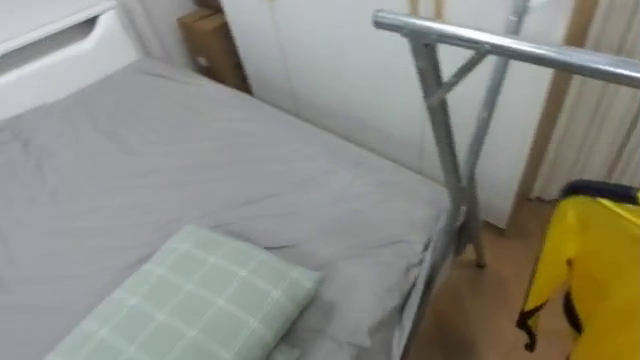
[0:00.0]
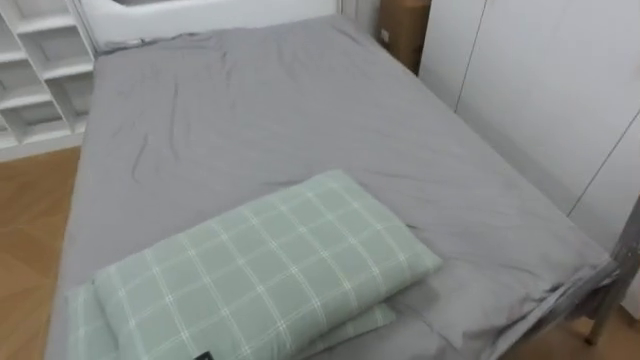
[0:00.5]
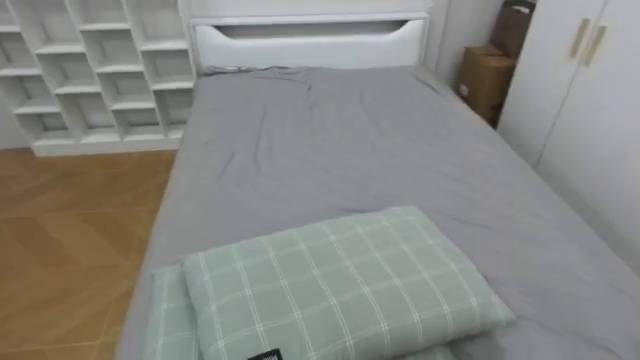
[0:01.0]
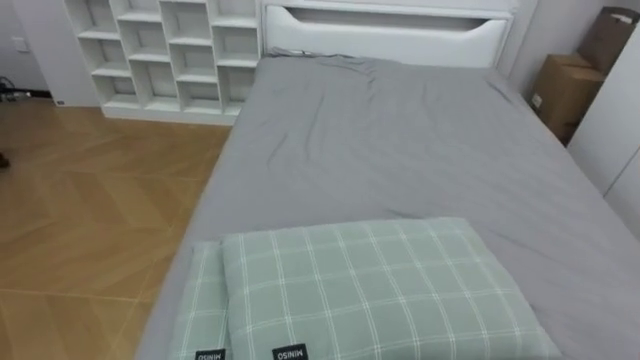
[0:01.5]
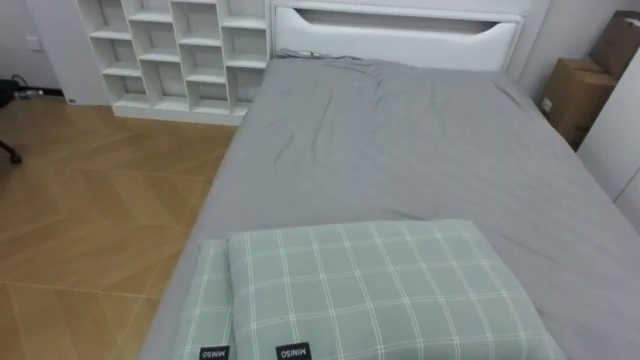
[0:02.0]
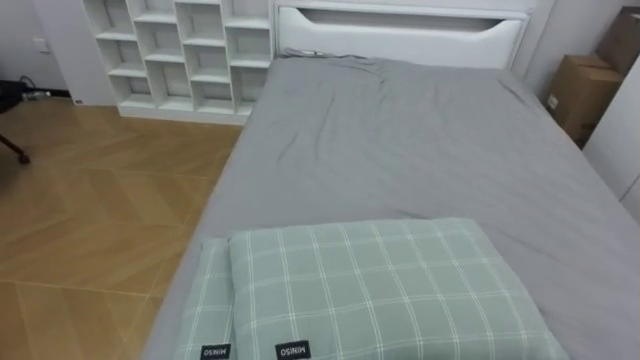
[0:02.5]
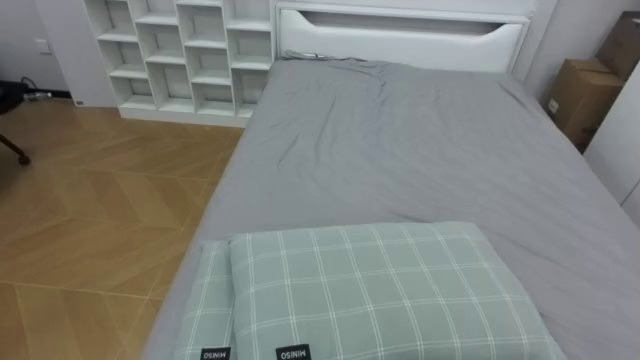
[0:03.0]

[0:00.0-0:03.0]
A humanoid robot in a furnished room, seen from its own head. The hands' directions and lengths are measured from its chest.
Task of the whole recording: Pick up the yellow shirt on the bed and hang it on the clothes rack on the right.
0:00.0 to 0:01.5: The robot rotates some 55 degrees to its left.

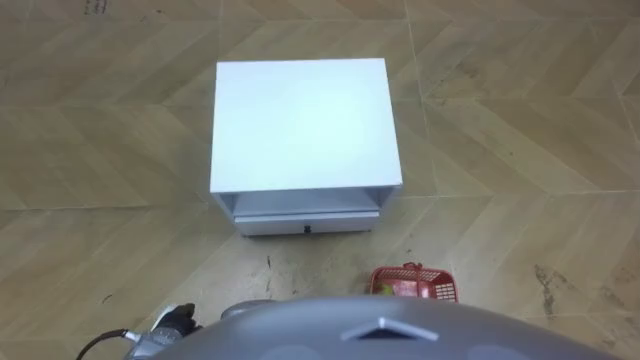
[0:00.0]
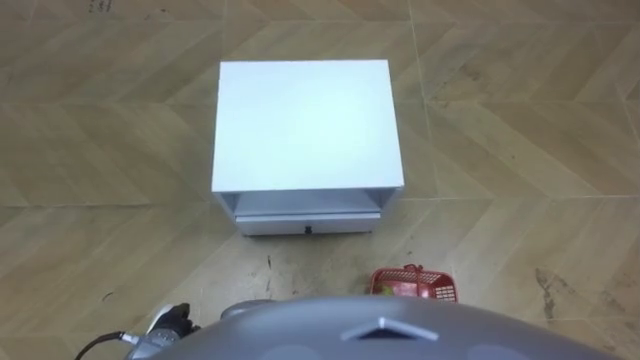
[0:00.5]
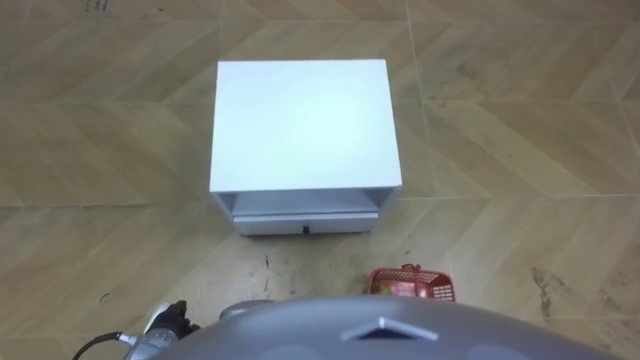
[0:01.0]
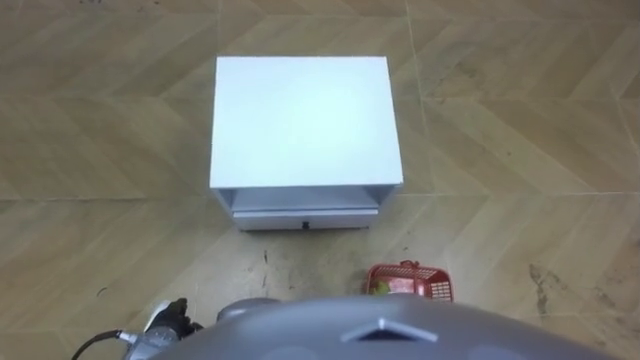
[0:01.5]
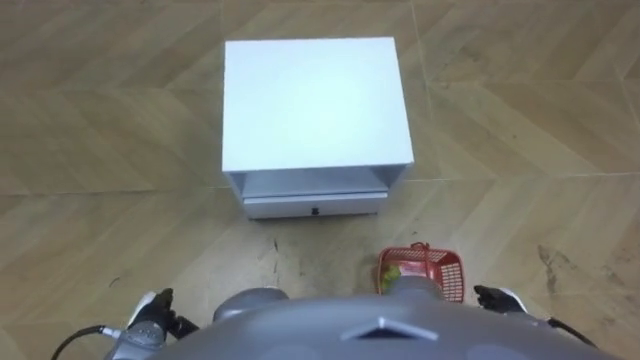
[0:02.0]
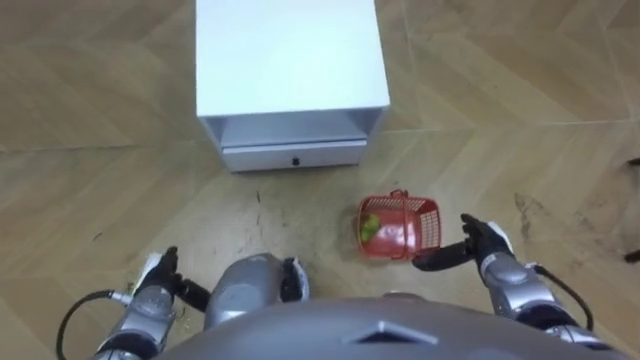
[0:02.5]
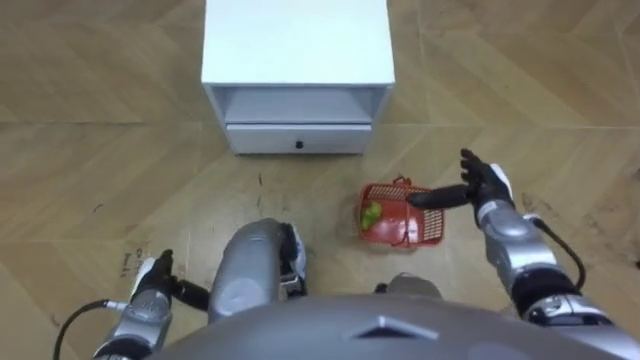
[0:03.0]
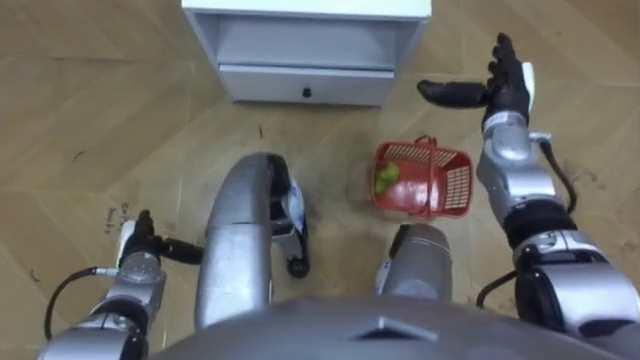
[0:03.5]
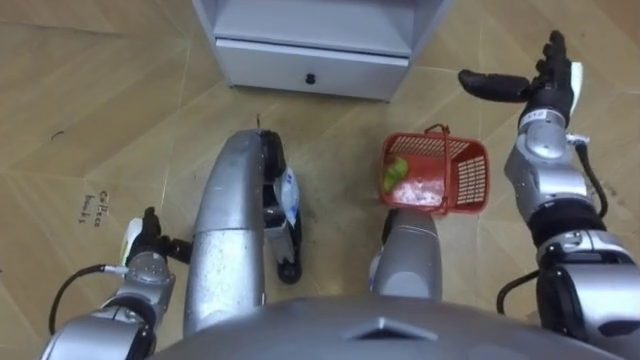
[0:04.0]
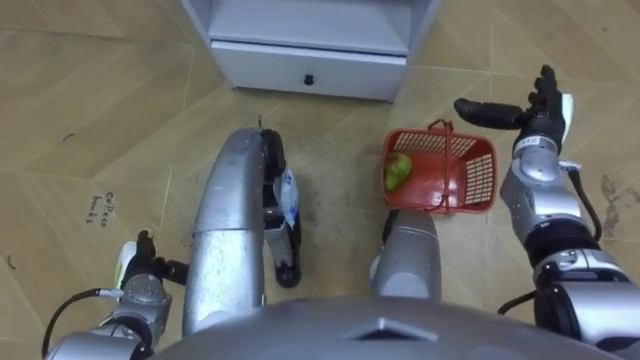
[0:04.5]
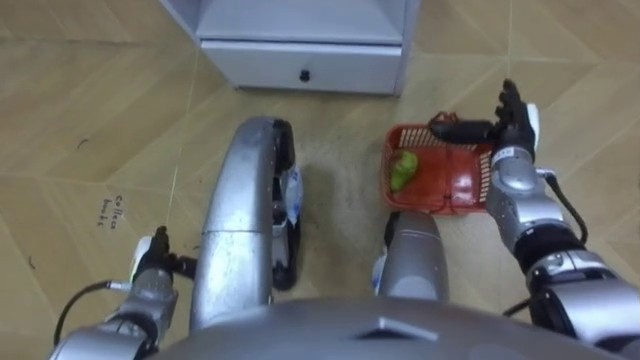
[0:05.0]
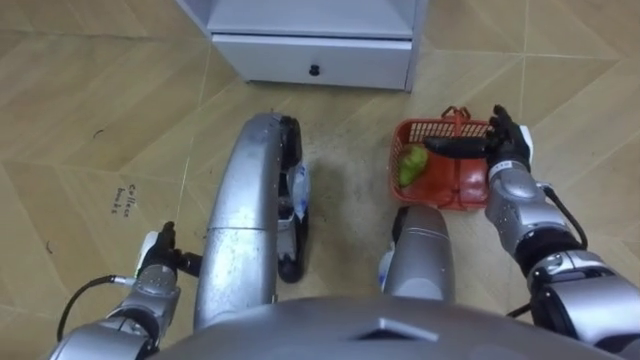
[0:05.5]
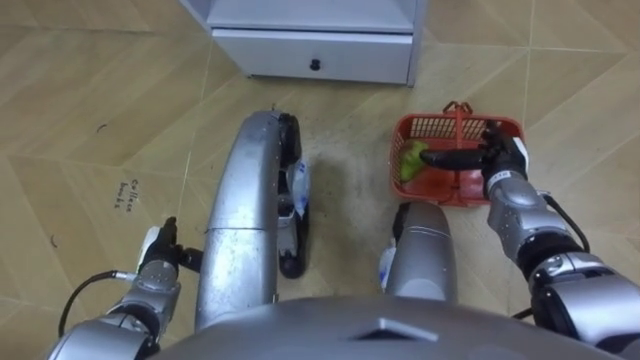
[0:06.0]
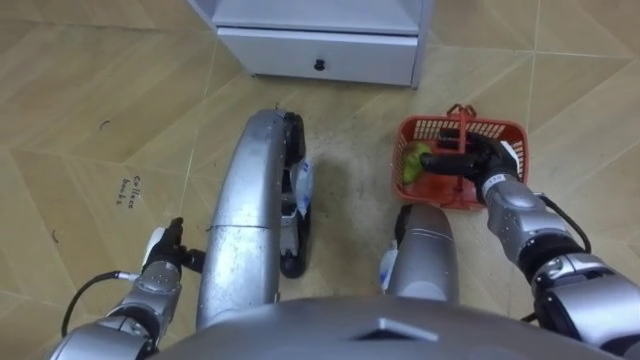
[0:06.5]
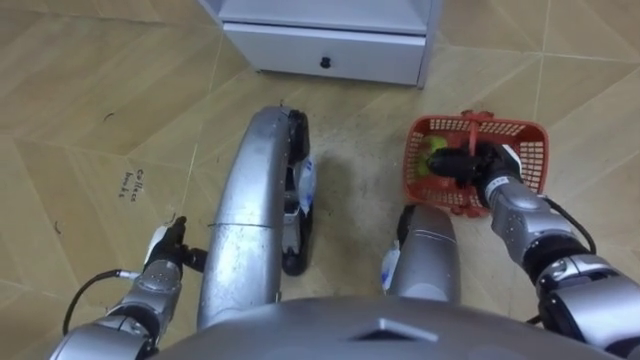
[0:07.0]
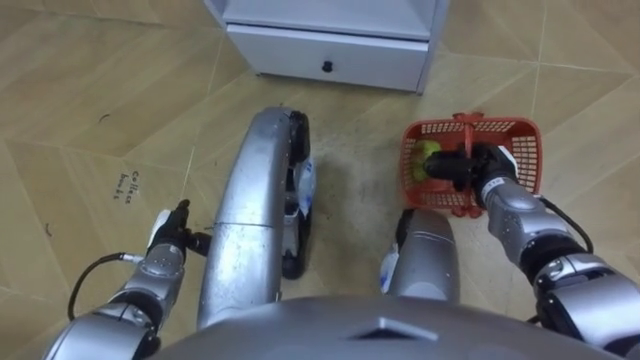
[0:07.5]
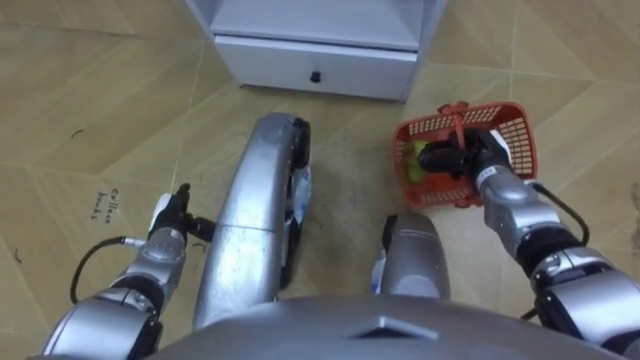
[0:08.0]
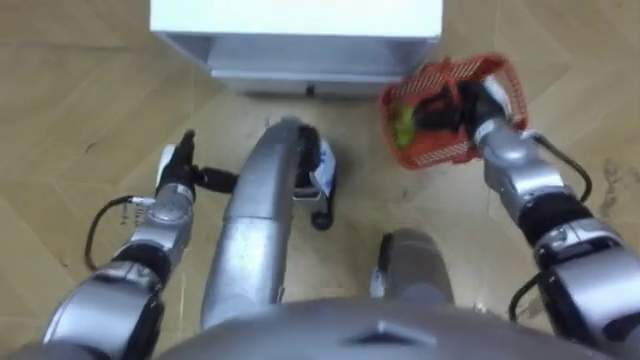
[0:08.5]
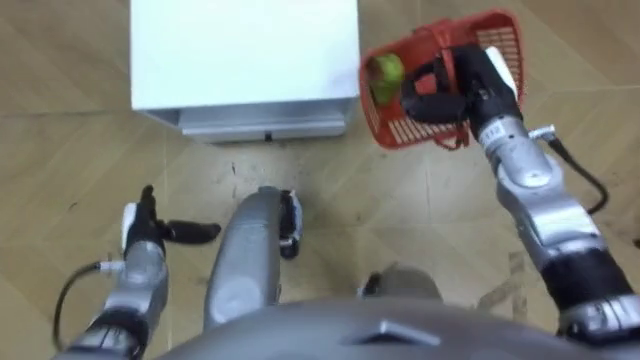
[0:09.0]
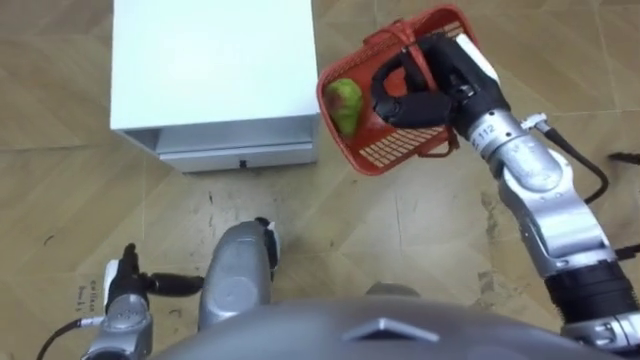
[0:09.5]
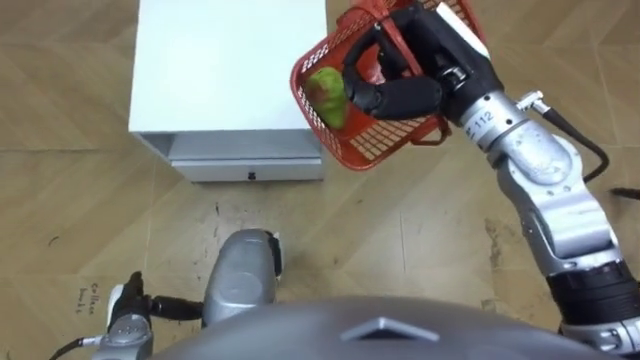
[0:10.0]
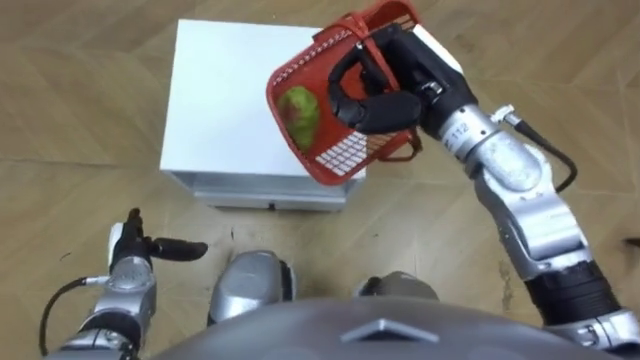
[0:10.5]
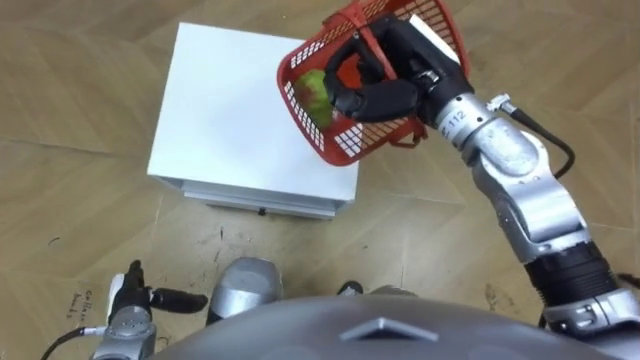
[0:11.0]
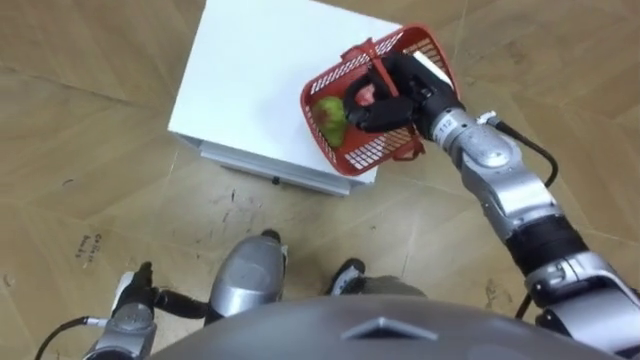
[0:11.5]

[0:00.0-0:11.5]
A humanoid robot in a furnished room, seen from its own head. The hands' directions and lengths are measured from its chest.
Task of the whole recording: Pick up the fruit basket from the floor and place it on the cabinet.
0:02.0 to 0:04.0: The right hand travels forward and upward by roughly 35 cm; the left hand shifts roughly 10 cm forward.
0:04.0 to 0:06.0: The right hand shifts about 10 cm downward and backward.
0:06.0 to 0:07.5: The right hand closes up.
0:07.5 to 0:09.5: The robot's body swings approximately 20 degrees to its right. The right hand shifts roughly 20 cm upward and to the left; the left hand heads backward and to the left, covering some 10 cm.
0:09.5 to 0:11.5: The left hand moves about 5 cm forward and comes back, while the right hand heads downward, covering roughly 5 cm.

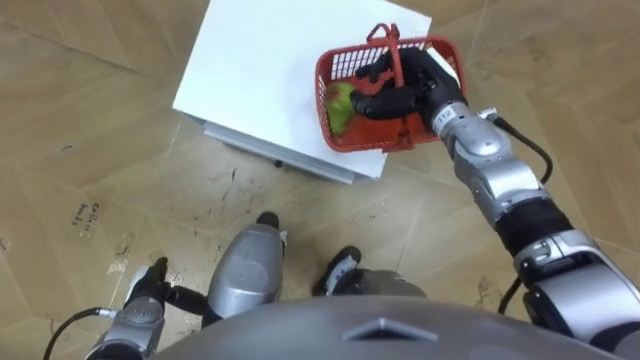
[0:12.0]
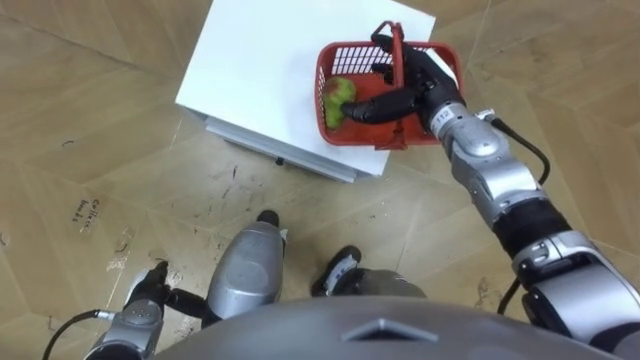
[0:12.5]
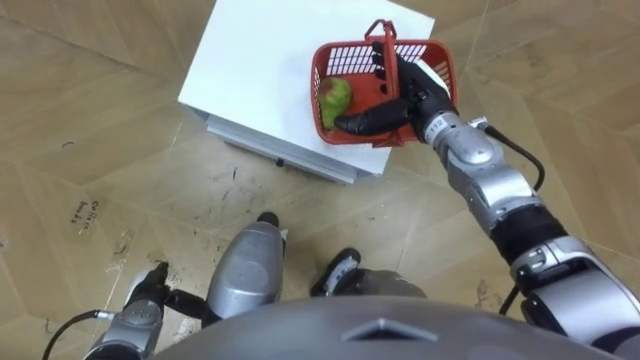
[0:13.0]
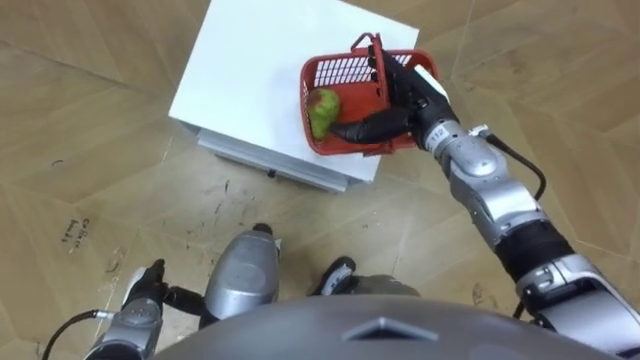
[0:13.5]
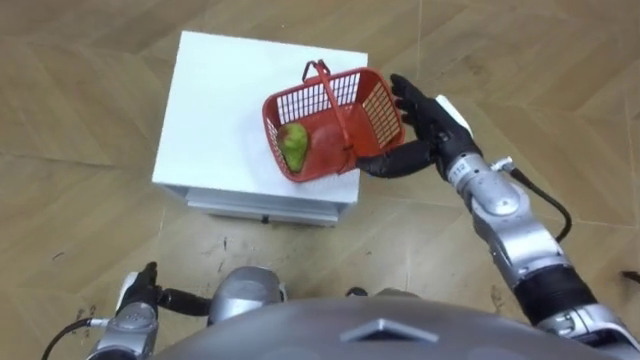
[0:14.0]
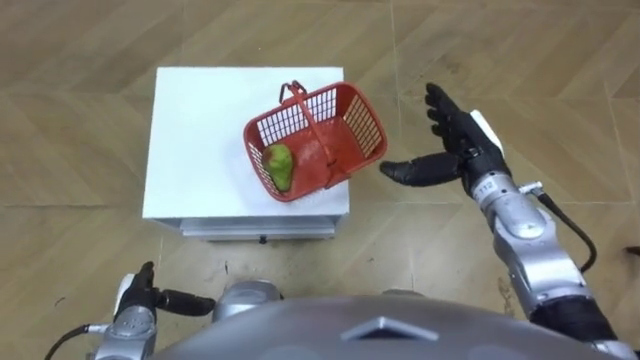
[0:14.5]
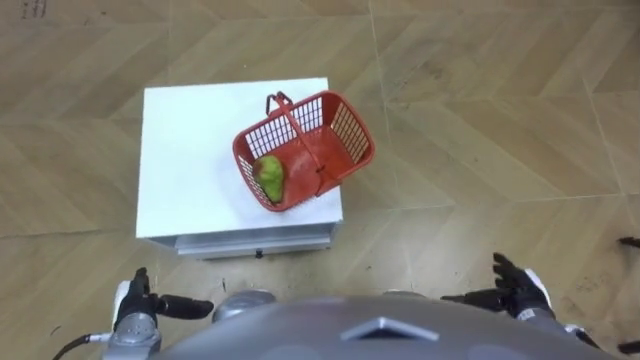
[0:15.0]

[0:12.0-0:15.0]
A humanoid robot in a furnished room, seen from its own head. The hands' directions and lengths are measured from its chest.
Task of the whole recording: Pick up the fruit basket from the floor and place it on the cabinet.
0:12.0 to 0:13.5: The right hand opens its fingers.
0:13.5 to 0:15.0: The right hand is displaced backward, to the right and downward by approximately 35 cm.

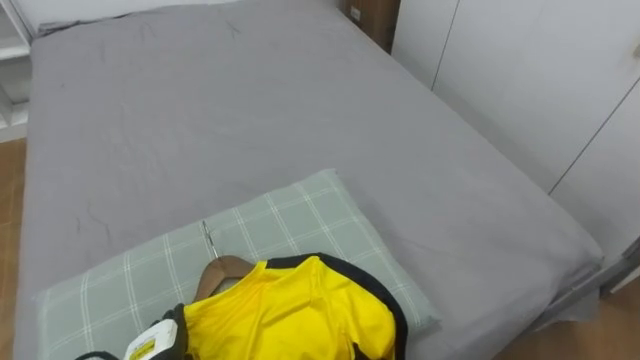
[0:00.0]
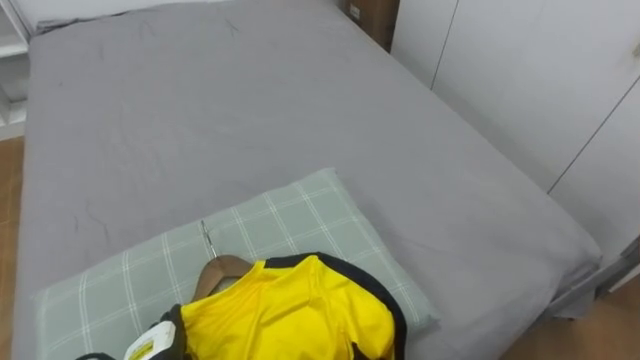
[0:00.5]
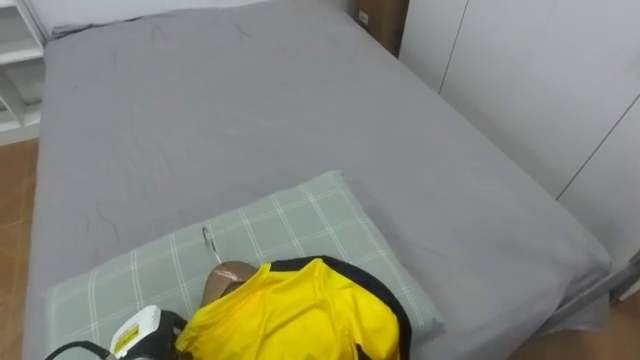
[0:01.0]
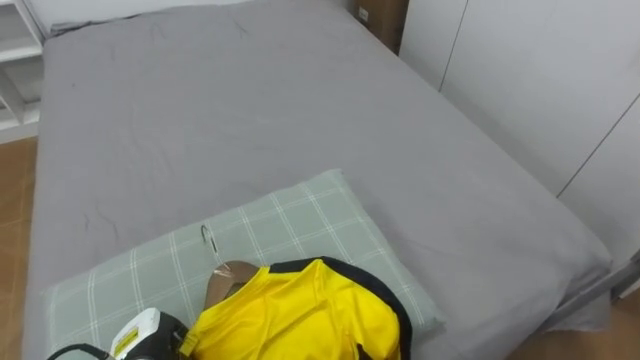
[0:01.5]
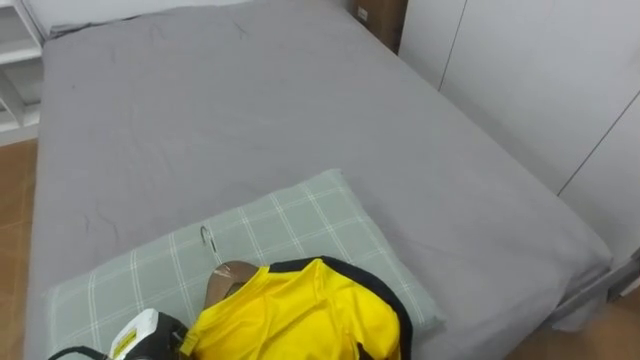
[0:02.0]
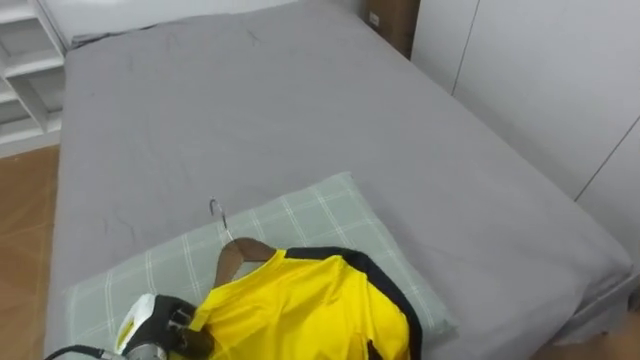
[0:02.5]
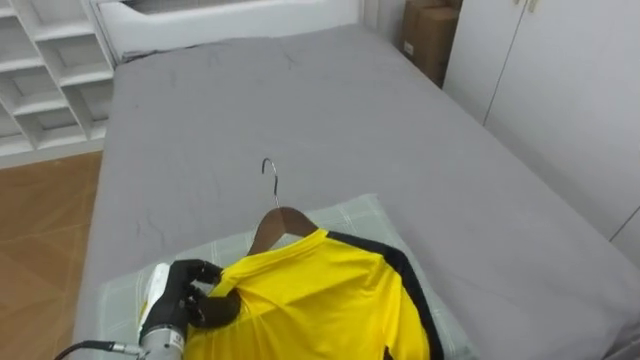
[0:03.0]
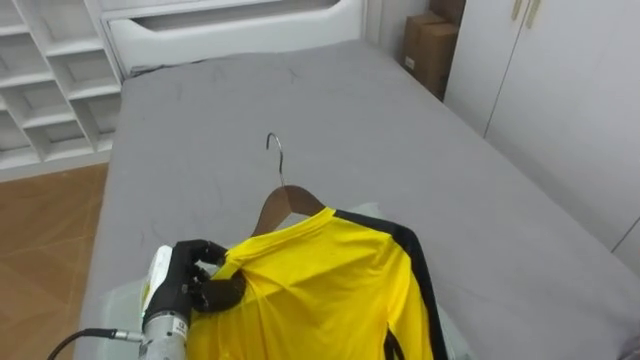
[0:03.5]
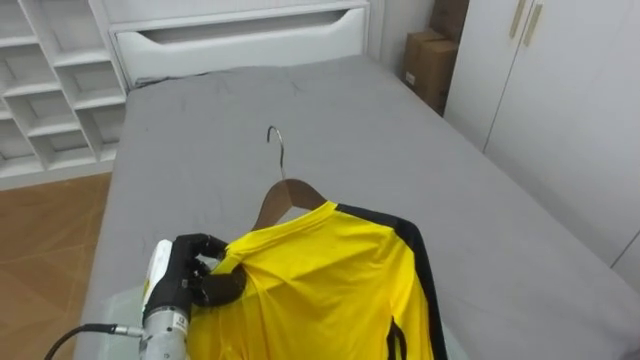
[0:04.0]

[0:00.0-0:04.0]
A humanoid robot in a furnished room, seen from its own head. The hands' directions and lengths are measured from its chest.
Task of the whole recording: Pick up the yellow shirt on the bed and hang it on the clothes rack on the right.
0:00.0 to 0:02.0: The left hand closes.
0:02.0 to 0:04.0: The left hand heads upward, covering some 10 cm.
